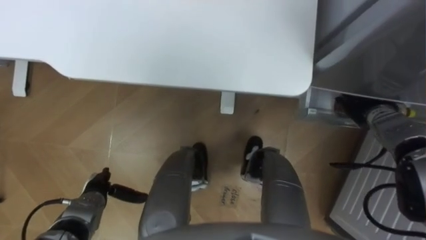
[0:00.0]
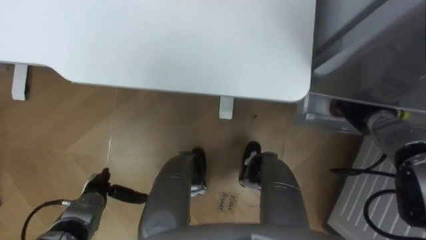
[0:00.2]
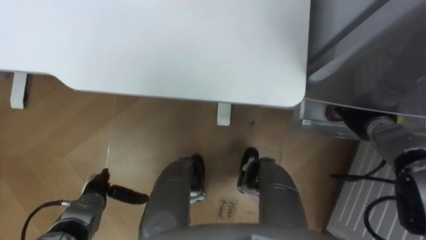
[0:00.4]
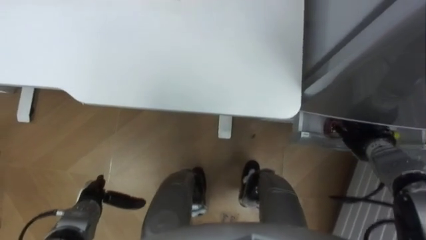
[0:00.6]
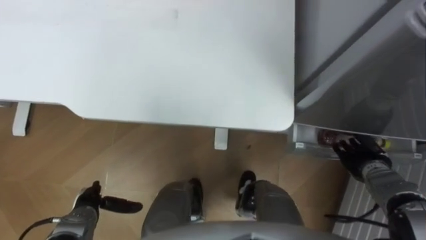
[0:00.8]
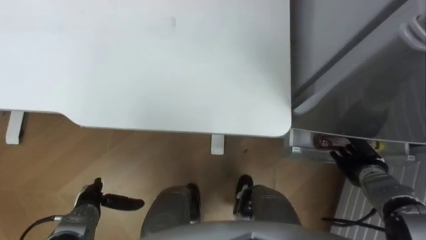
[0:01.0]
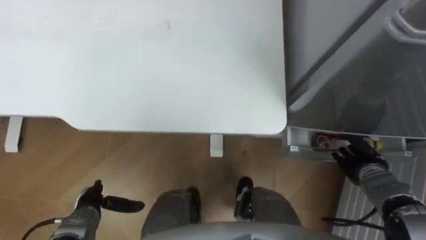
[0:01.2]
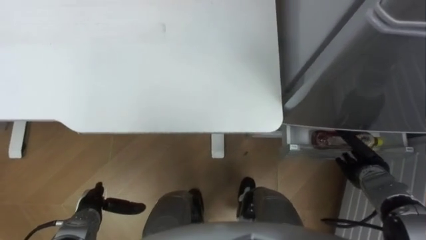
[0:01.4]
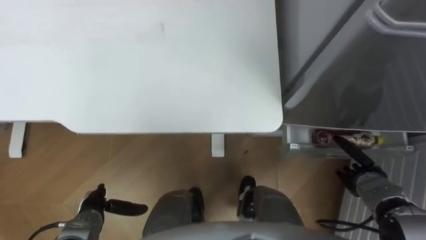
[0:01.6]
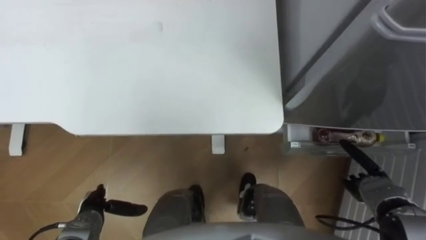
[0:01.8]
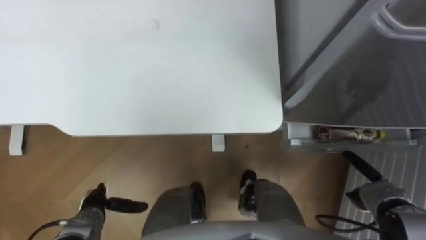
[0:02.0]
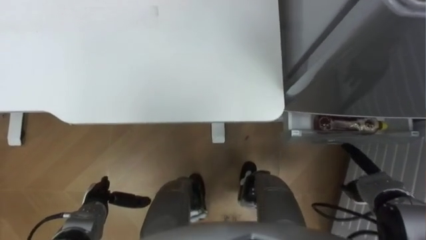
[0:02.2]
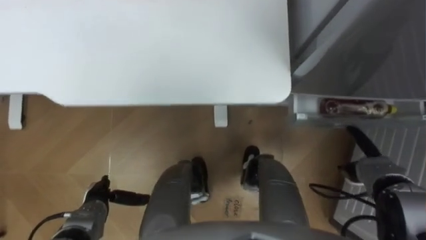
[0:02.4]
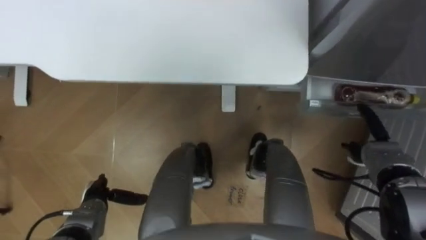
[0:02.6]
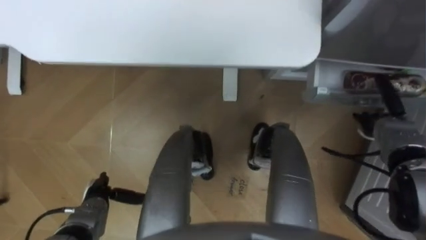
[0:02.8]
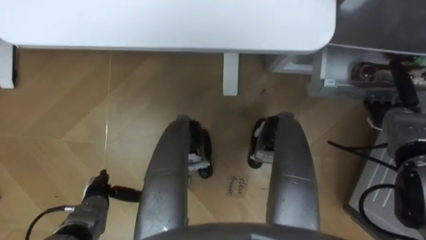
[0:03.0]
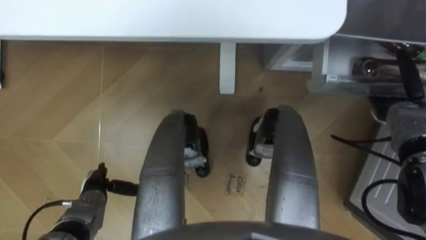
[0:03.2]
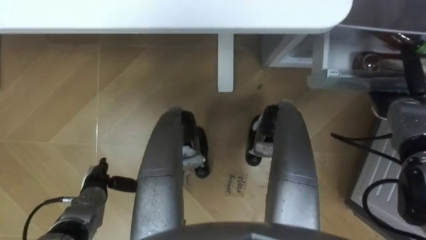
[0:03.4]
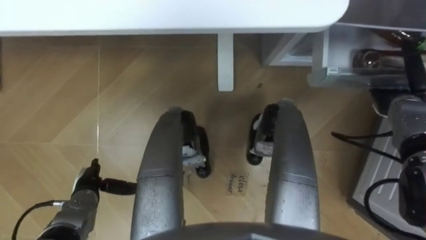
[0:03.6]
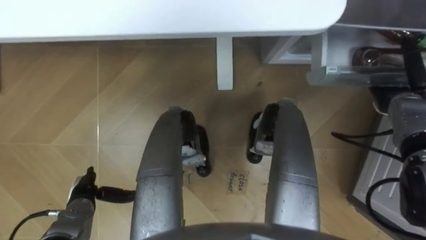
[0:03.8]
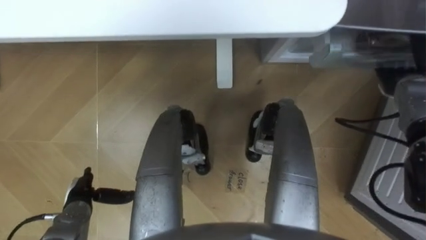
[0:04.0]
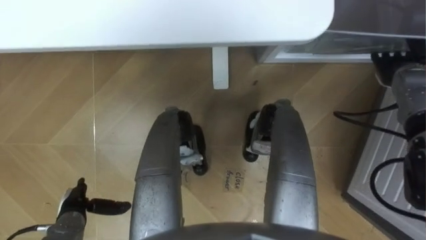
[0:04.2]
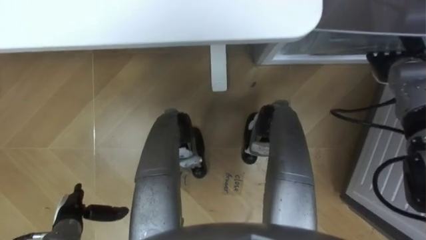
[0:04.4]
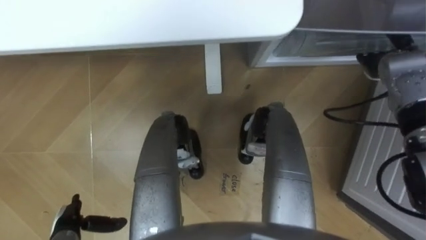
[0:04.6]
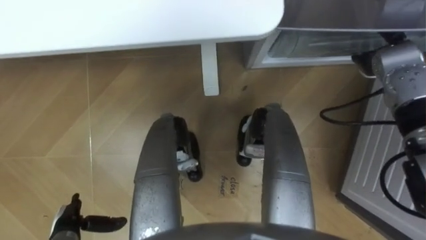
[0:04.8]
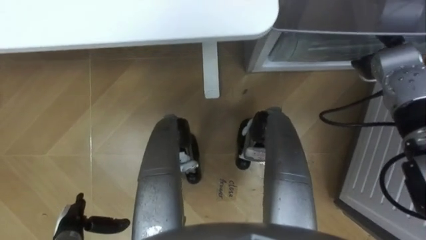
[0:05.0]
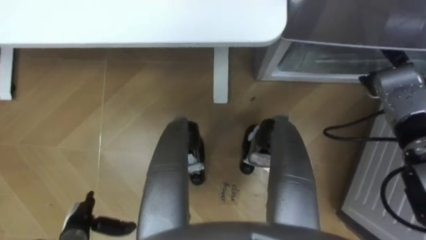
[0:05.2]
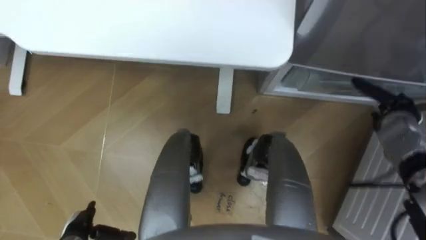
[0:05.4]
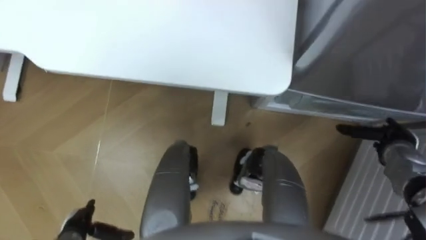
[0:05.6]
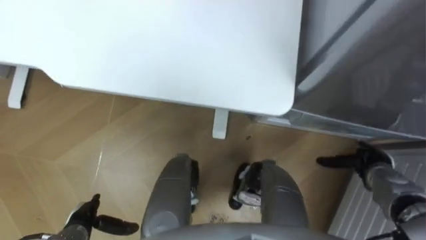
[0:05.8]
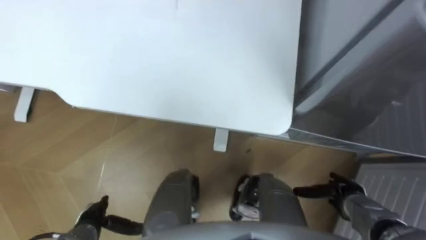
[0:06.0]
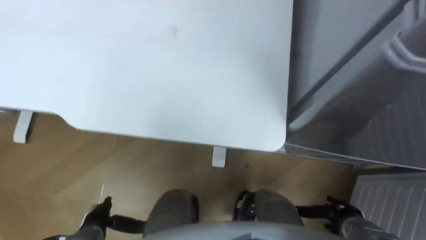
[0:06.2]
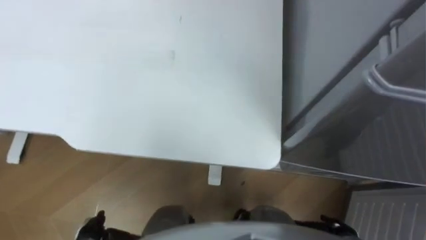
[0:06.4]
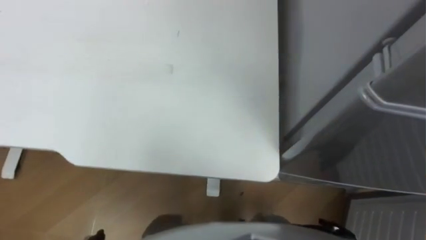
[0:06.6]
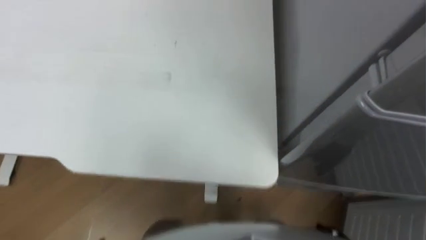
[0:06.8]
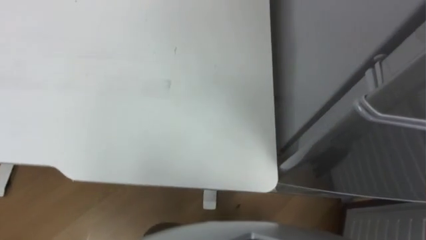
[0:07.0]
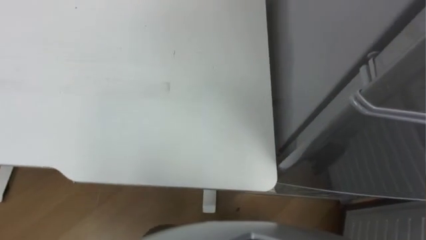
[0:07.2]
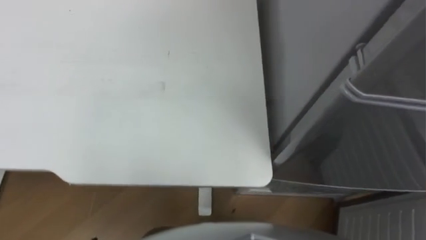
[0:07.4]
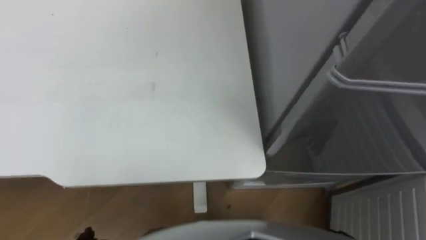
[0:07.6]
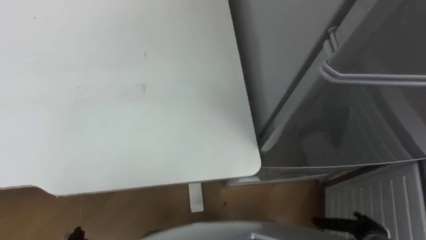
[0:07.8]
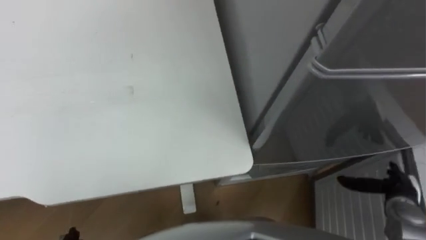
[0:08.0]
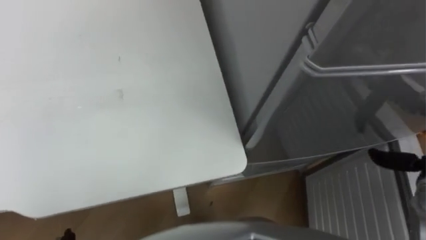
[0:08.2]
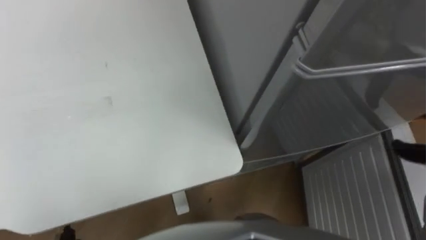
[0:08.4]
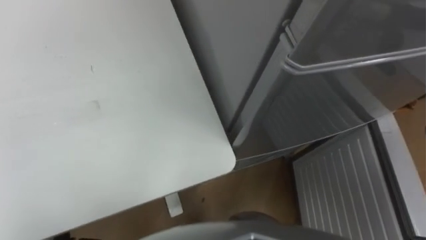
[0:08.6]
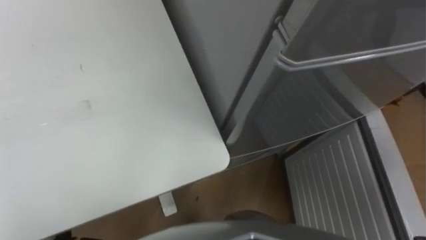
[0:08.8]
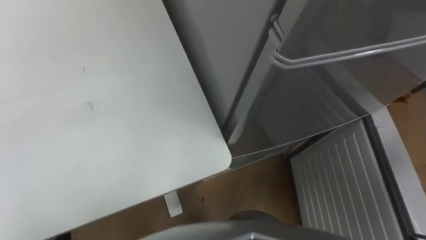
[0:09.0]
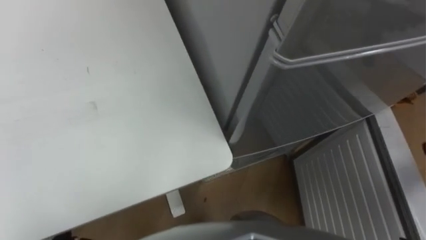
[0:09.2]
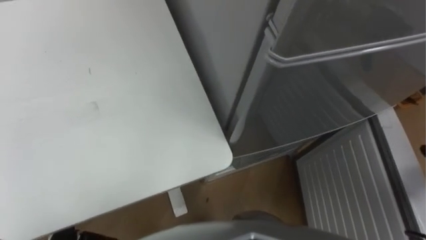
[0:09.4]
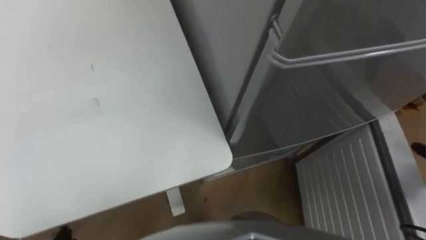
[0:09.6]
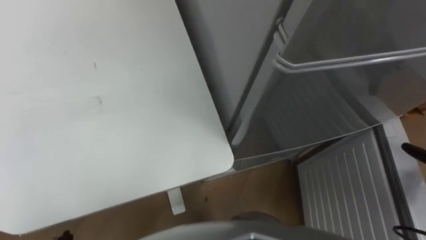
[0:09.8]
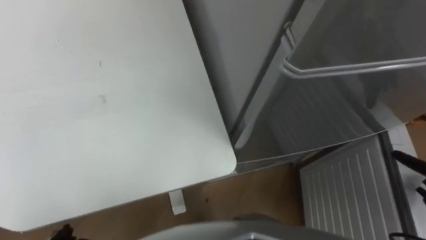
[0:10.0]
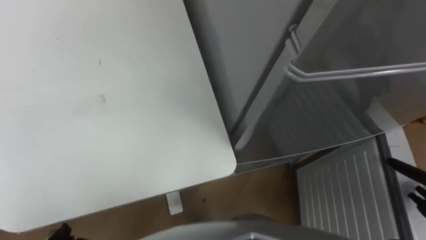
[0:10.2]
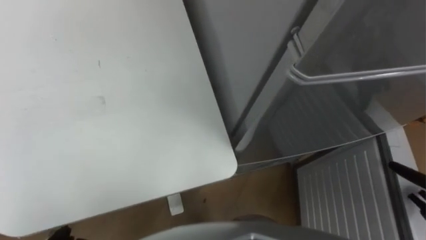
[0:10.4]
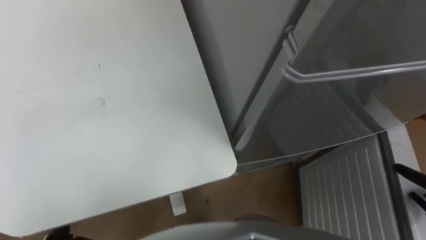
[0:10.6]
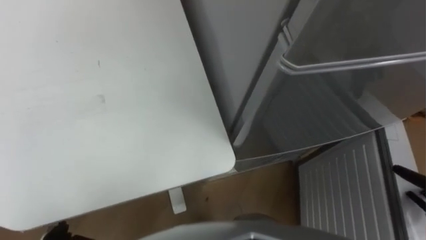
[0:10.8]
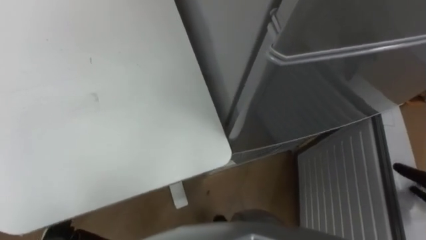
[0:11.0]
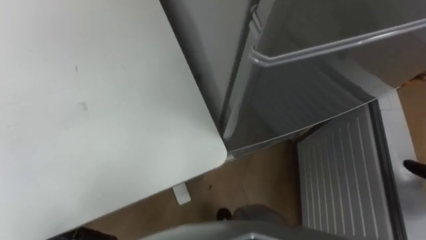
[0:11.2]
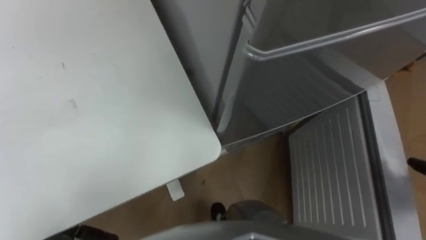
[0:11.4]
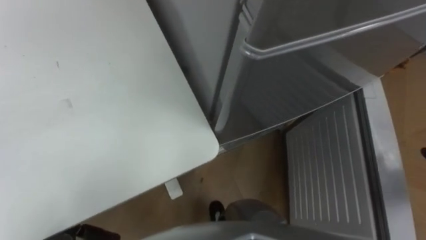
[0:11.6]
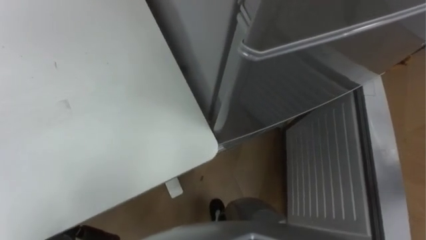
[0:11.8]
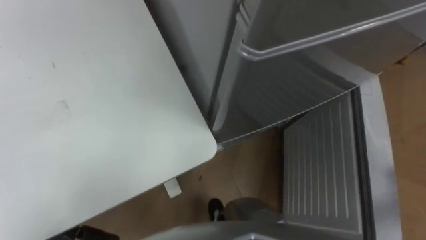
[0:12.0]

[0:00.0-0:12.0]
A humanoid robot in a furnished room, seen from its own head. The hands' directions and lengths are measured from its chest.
Task of the whole recording: Place the drink on the table on the bottom shelf of the refrigerator, then close the drawer and the refrigerator door.
0:00.0 to 0:01.6: The right hand goes about 15 cm backward and downward.
0:01.6 to 0:03.0: The right hand shifts roughly 15 cm forward and upward.
0:03.0 to 0:04.4: The right hand heads upward and forward, covering roughly 10 cm. The left hand moves some 5 cm.
0:04.4 to 0:06.0: The right hand moves backward and downward, about 30 cm.

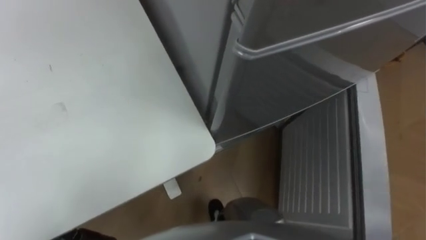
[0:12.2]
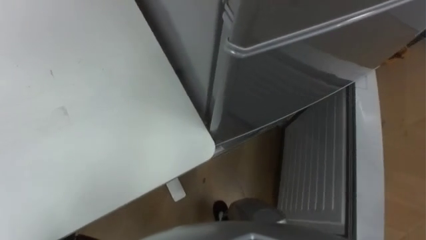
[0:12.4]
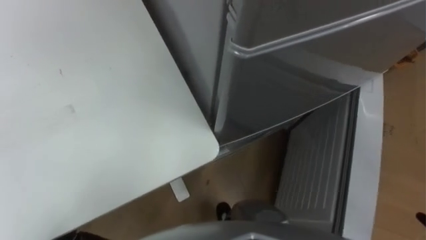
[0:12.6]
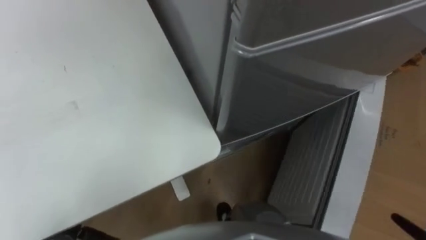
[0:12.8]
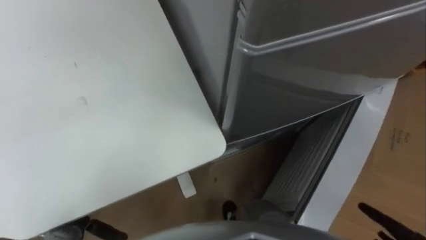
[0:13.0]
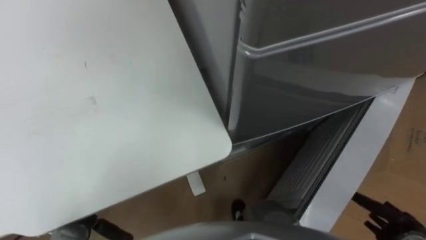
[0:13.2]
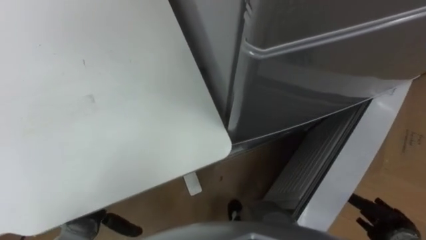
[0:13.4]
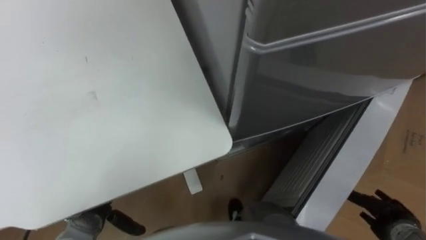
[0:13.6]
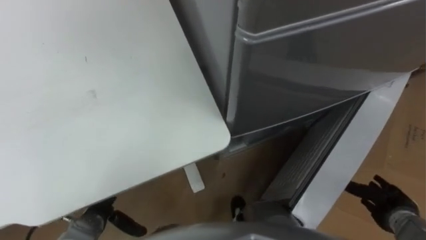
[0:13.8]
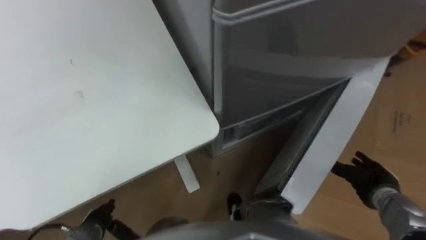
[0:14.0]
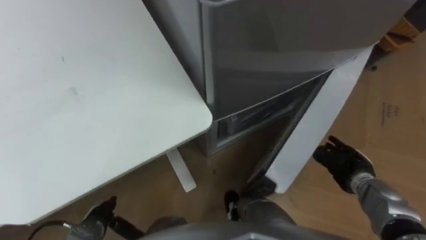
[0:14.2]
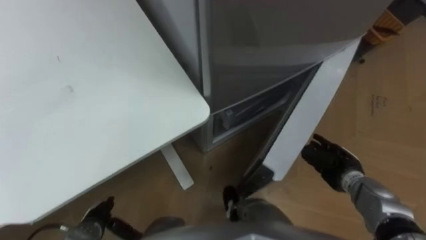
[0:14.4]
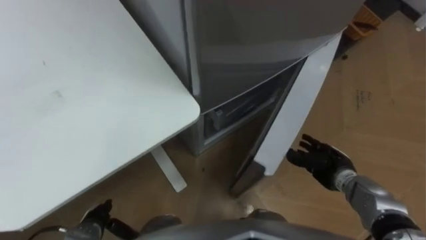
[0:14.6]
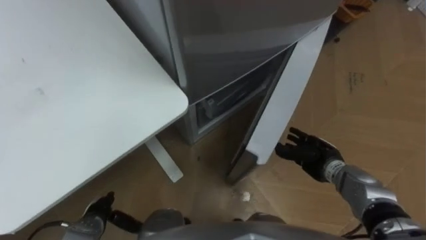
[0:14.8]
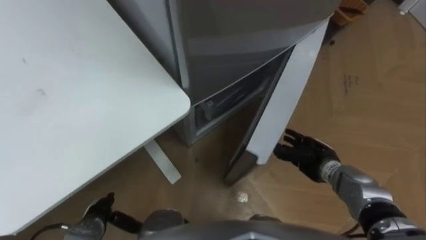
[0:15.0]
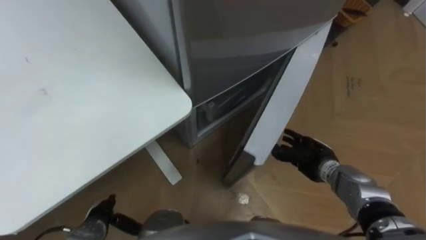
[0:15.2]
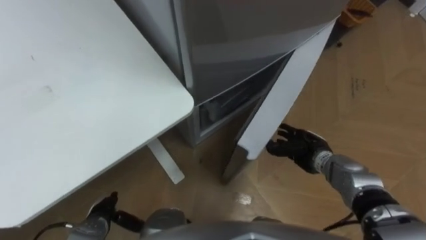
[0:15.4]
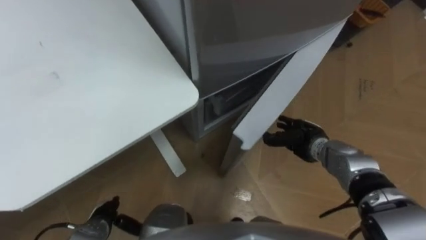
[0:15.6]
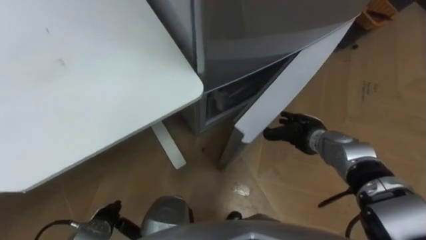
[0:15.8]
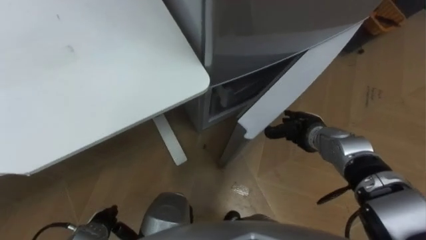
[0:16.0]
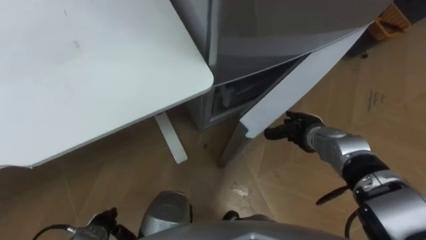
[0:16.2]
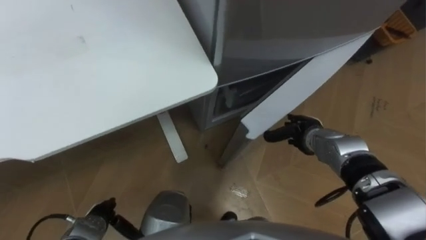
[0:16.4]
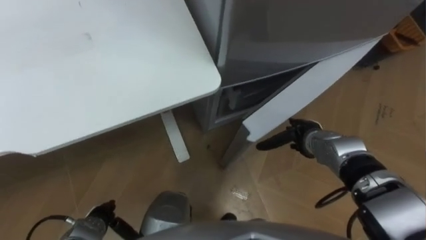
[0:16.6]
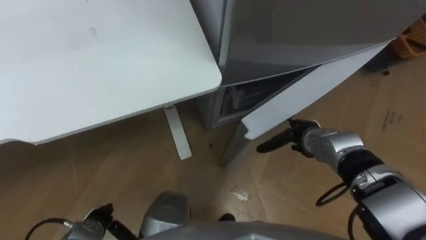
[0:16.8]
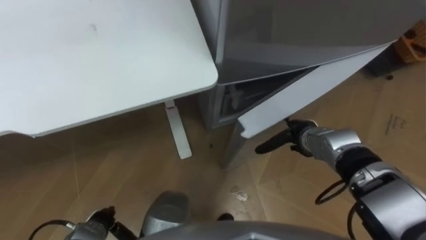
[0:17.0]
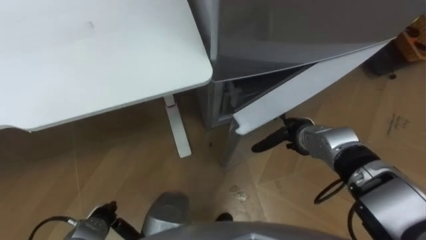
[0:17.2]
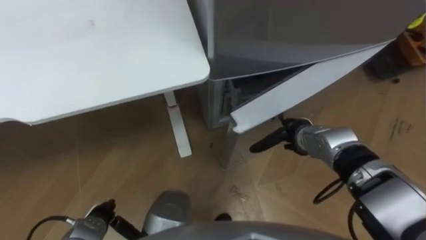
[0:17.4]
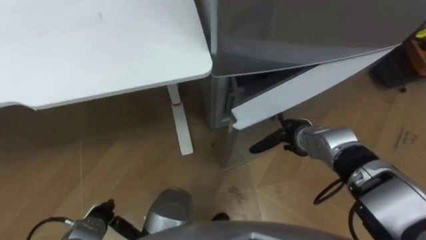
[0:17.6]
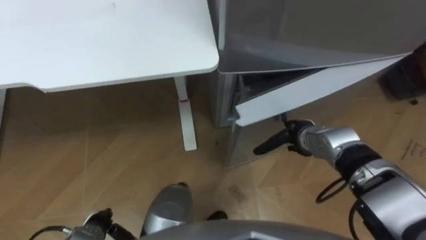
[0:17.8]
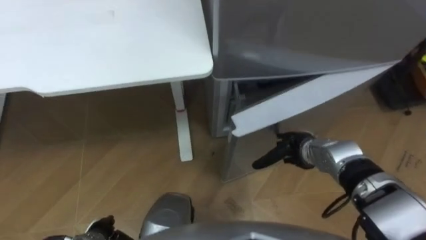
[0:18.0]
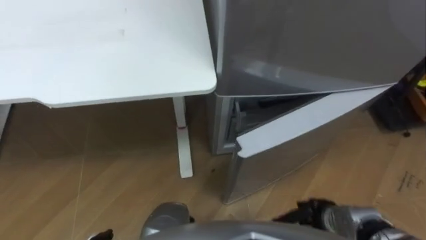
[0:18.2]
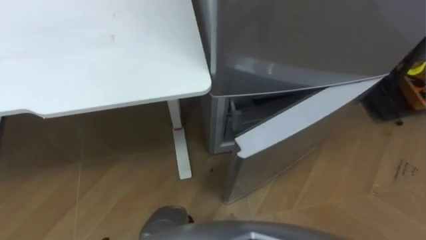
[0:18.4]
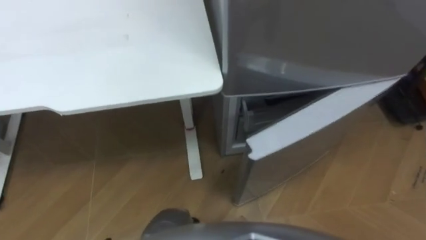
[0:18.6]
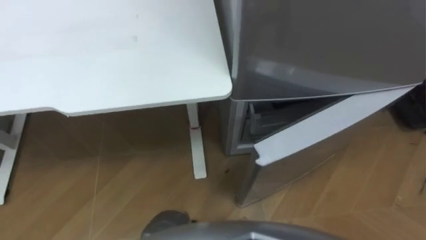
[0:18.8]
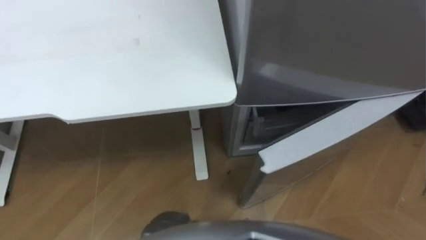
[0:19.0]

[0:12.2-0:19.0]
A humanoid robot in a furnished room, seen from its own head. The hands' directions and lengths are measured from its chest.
Task of the whole recording: Place the drink on the table on the bottom shelf of the refrigerator, then close the drawer and the refrigerator door.
0:13.6 to 0:15.0: The right hand is displaced to the left and forward by approximately 20 cm.
0:15.0 to 0:16.2: The right hand heads forward, covering some 5 cm.
